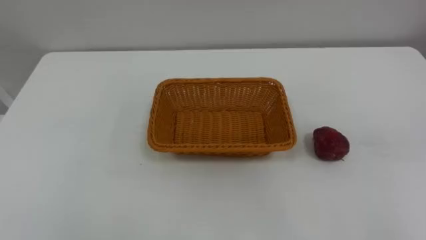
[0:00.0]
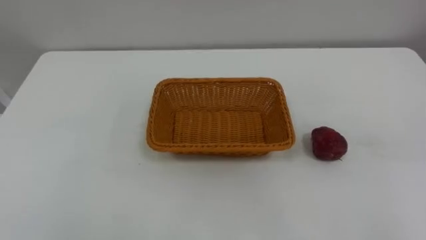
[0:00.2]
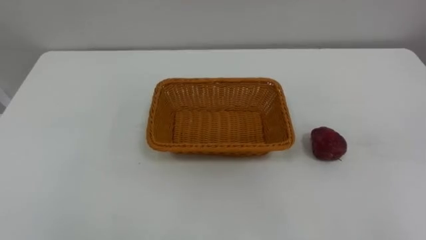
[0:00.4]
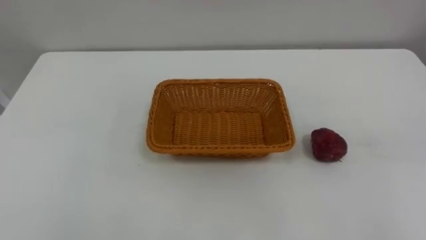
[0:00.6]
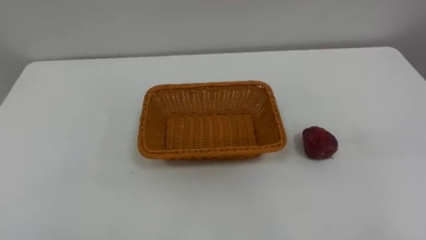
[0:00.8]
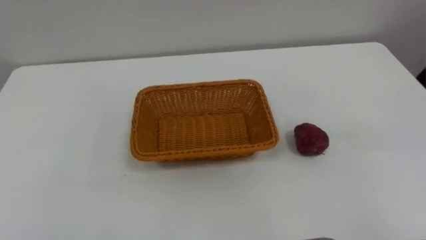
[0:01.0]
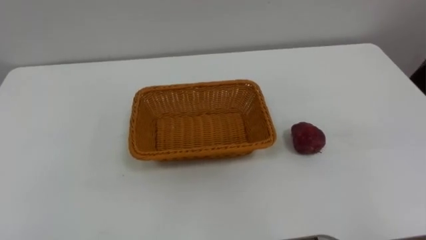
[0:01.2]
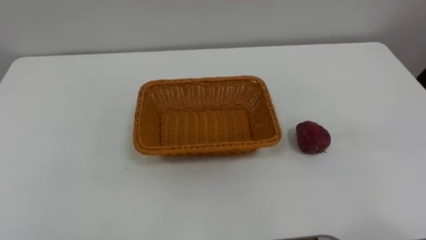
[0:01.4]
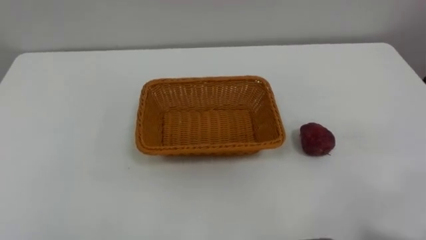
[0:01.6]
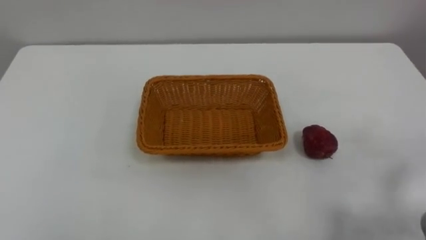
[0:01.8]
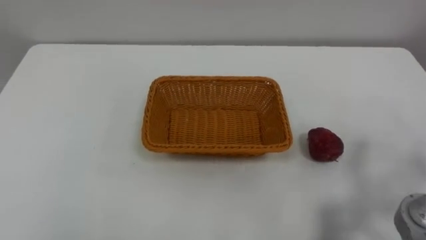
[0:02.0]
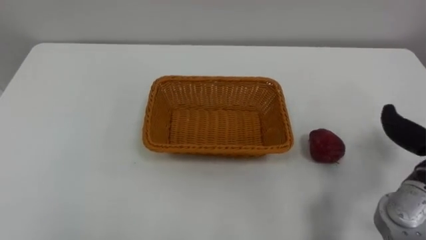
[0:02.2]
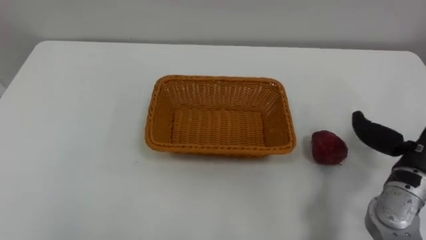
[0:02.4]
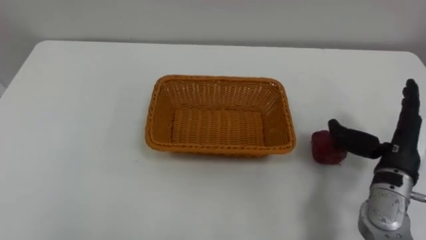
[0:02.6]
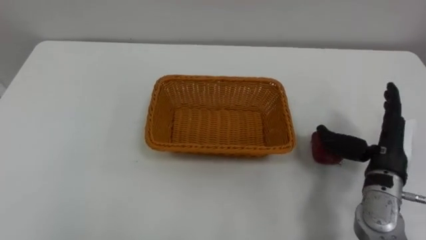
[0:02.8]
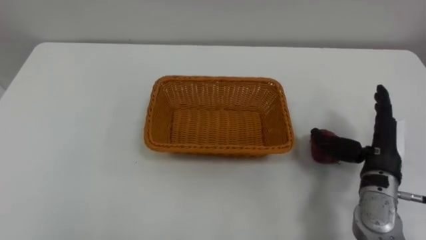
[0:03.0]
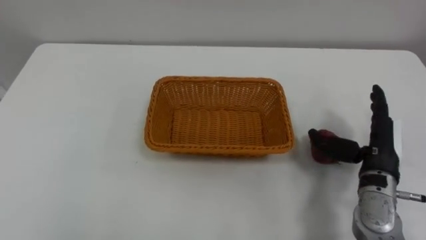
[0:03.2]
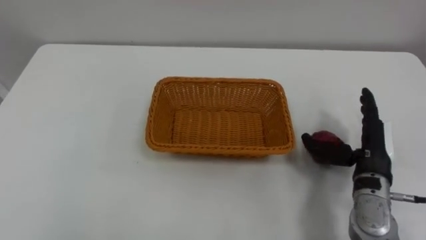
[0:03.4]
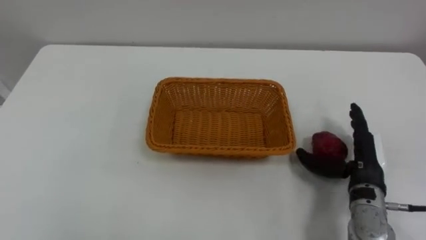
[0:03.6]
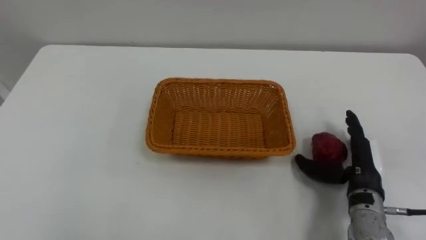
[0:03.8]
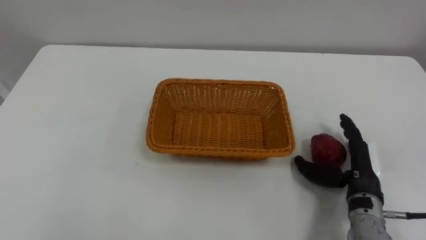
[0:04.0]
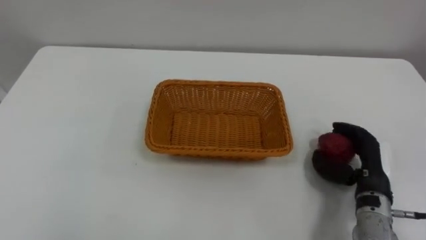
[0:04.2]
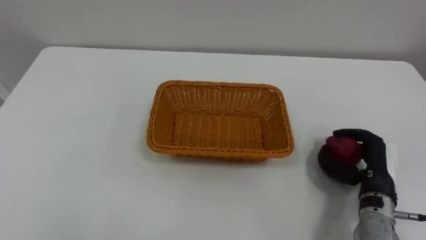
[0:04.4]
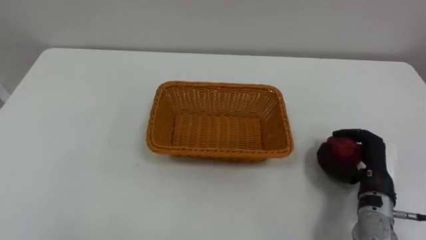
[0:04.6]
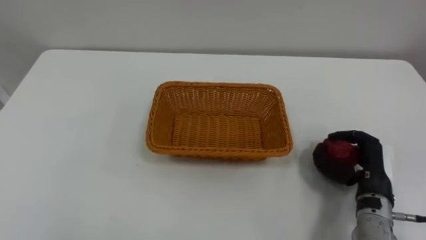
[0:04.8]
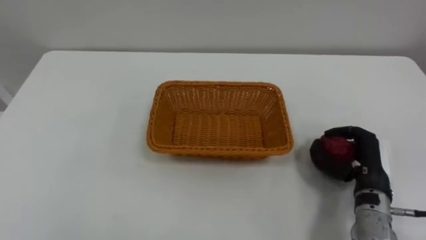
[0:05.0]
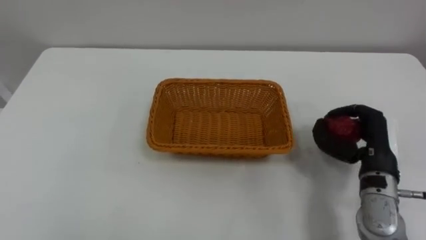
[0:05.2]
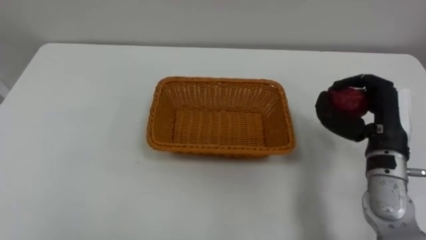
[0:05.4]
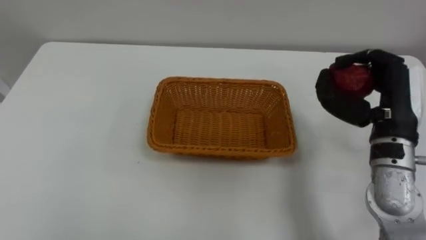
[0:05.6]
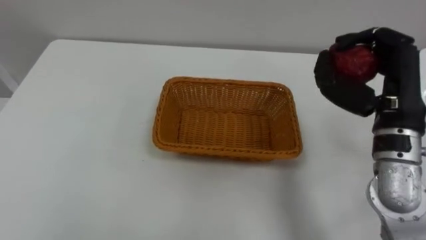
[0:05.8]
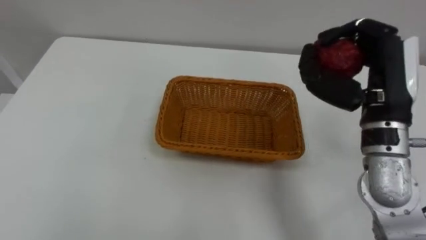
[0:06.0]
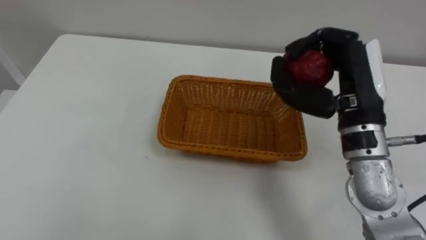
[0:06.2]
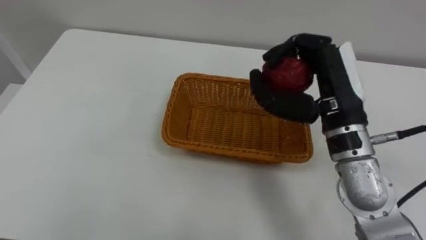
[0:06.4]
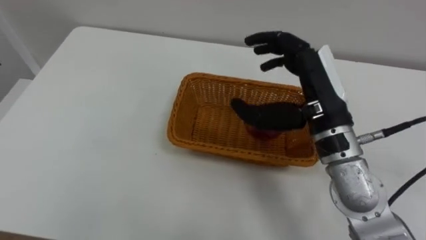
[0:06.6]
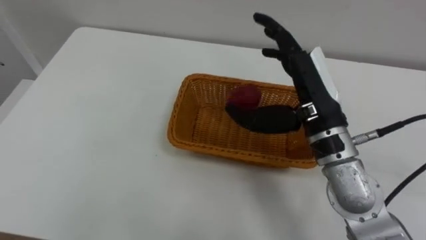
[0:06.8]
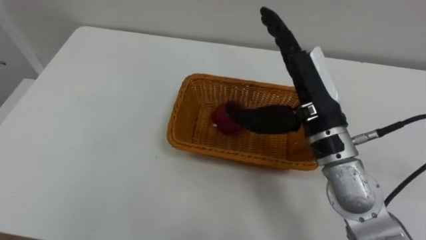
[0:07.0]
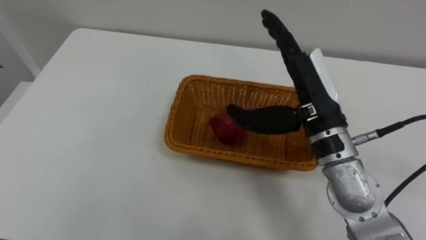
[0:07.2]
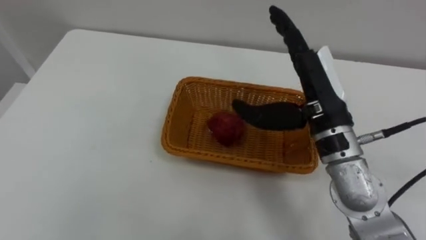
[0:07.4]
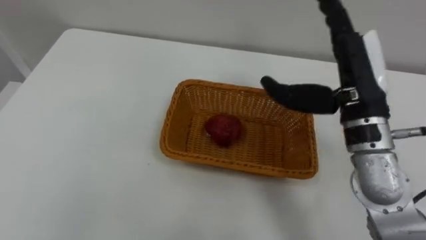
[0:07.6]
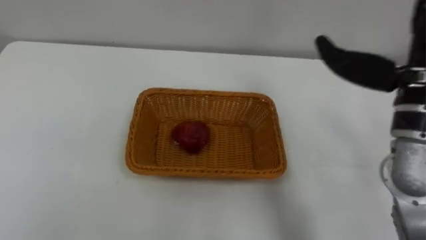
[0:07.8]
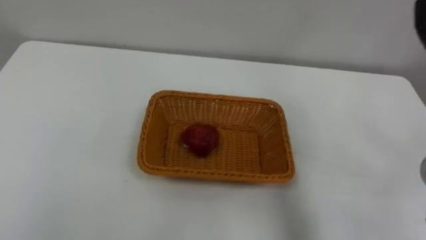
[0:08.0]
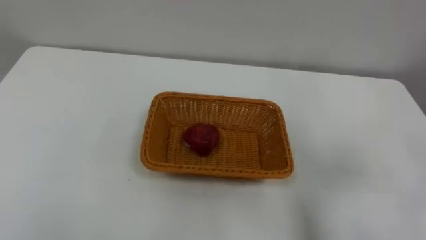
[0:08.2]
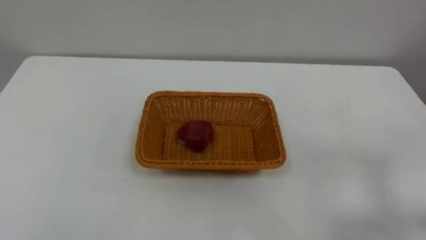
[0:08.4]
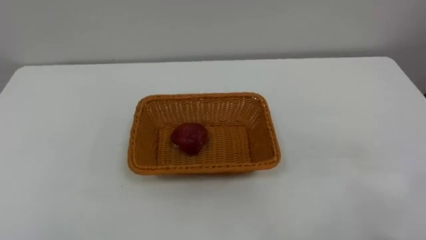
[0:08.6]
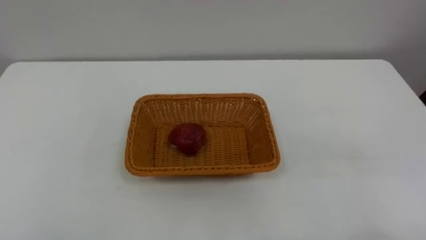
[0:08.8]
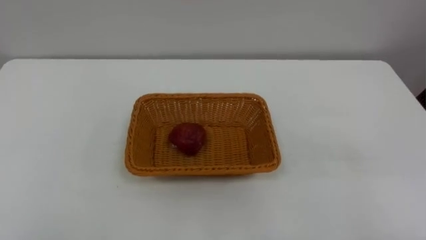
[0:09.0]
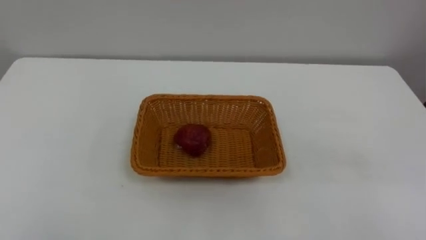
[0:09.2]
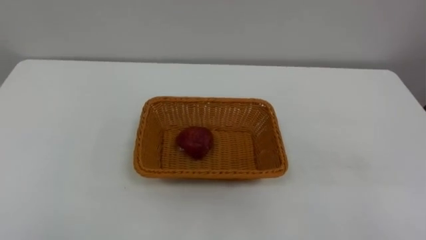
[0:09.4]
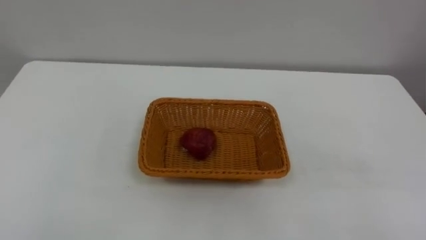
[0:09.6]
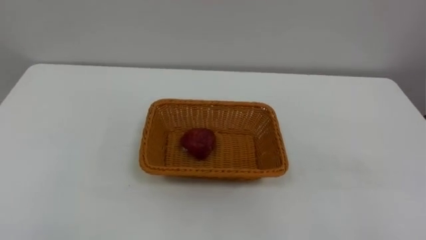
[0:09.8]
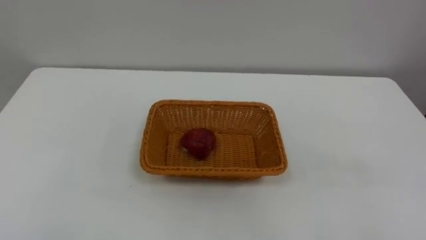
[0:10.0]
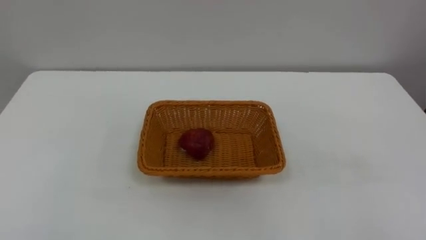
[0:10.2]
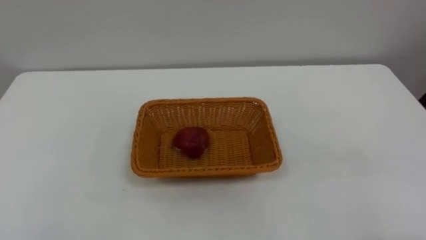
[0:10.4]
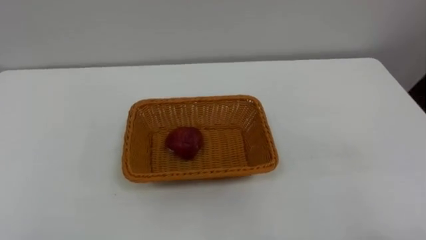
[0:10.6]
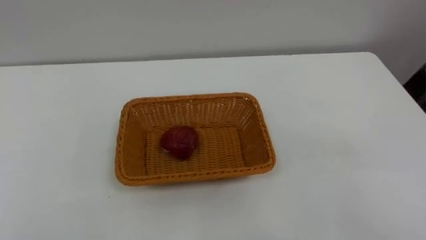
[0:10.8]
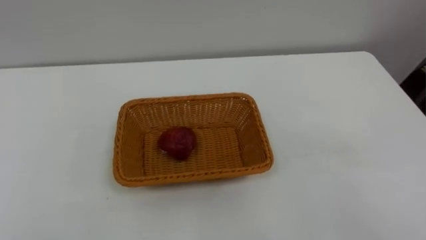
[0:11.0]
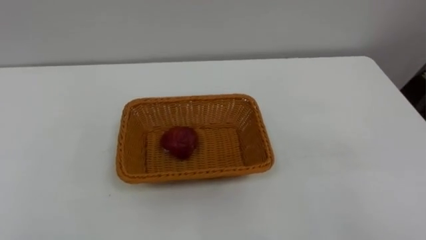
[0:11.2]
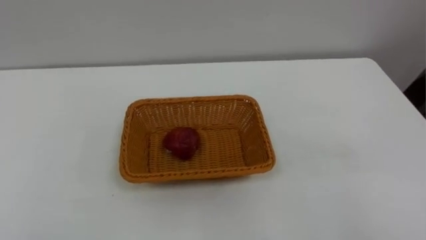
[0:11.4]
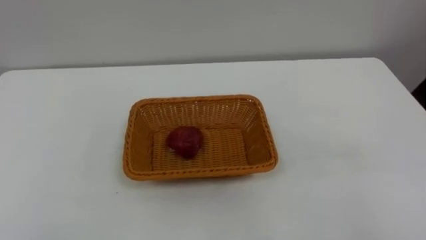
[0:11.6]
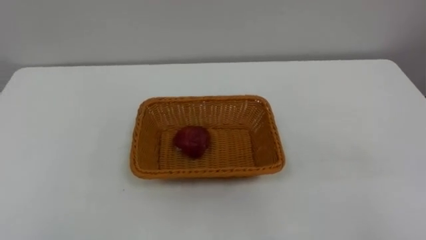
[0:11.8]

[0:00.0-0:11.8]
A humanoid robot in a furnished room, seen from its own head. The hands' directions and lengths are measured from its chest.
Task of the whole recording: Pick the apple and place it in the box.
0:03.0 to 0:04.4: The right hand heads downward, covering some 5 cm, and closes.
0:04.4 to 0:06.0: The right hand travels upward by some 20 cm.
0:06.0 to 0:07.4: The right hand travels to the left by some 10 cm, and opens up.

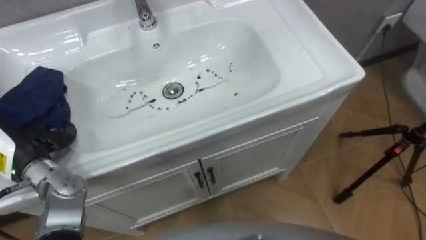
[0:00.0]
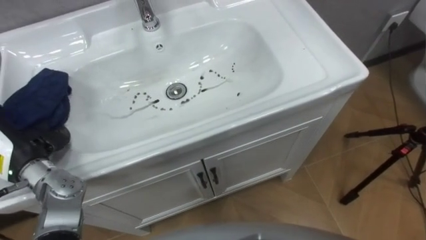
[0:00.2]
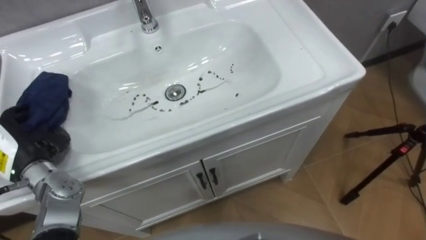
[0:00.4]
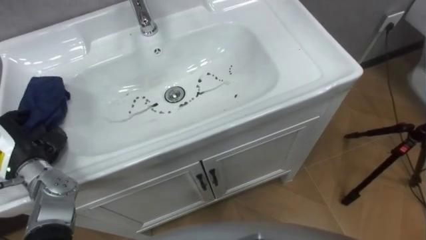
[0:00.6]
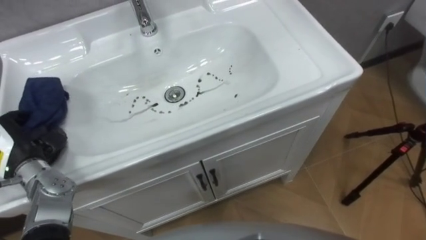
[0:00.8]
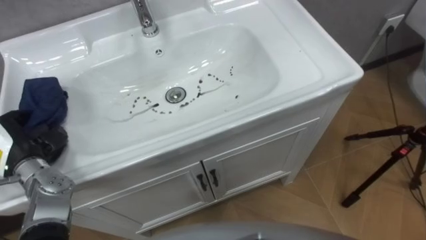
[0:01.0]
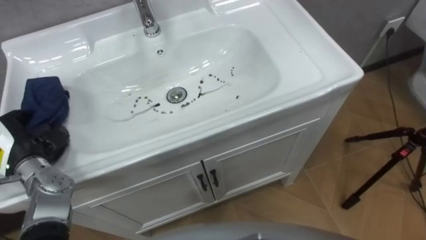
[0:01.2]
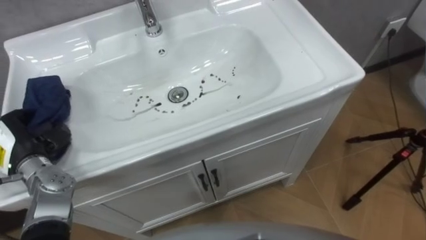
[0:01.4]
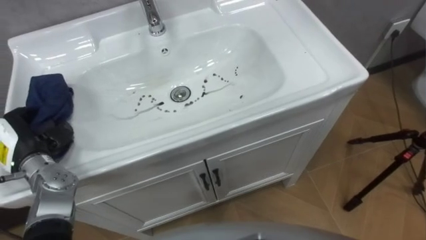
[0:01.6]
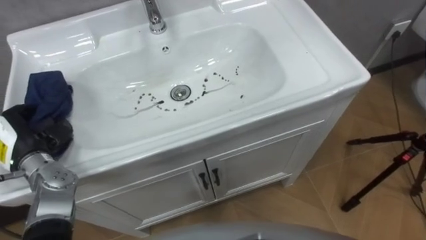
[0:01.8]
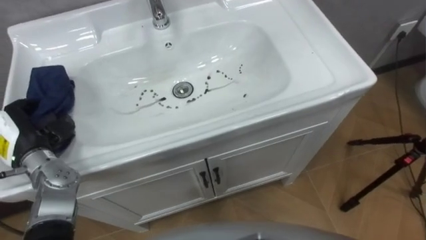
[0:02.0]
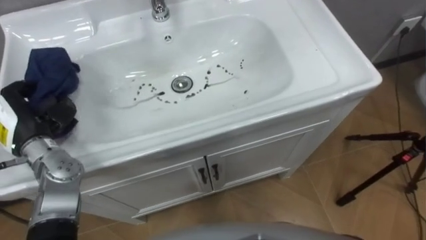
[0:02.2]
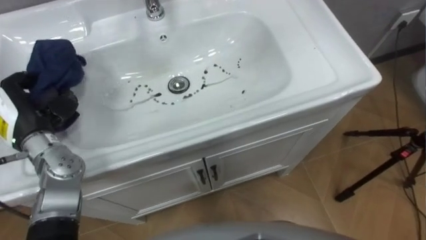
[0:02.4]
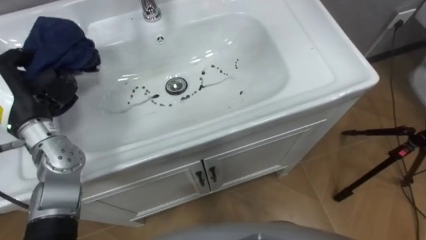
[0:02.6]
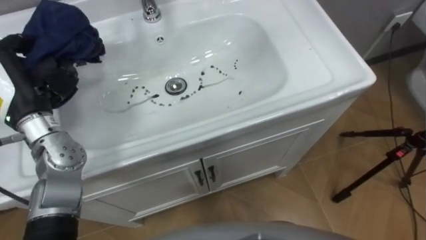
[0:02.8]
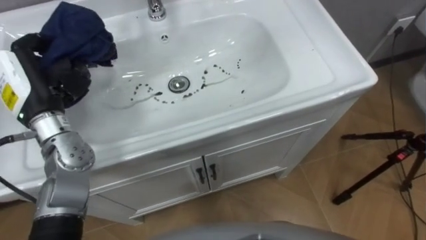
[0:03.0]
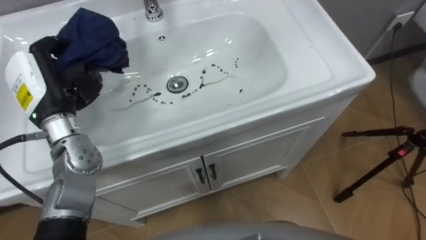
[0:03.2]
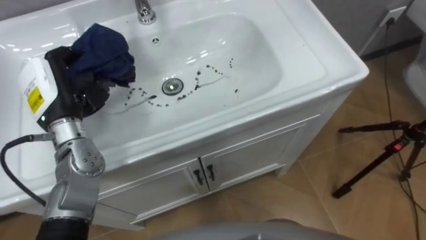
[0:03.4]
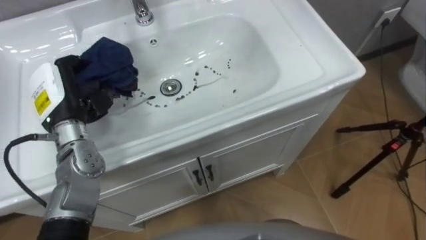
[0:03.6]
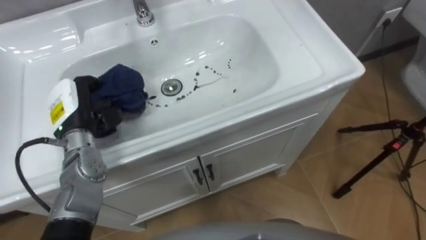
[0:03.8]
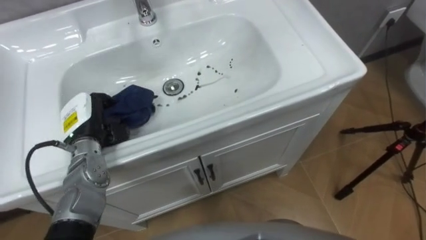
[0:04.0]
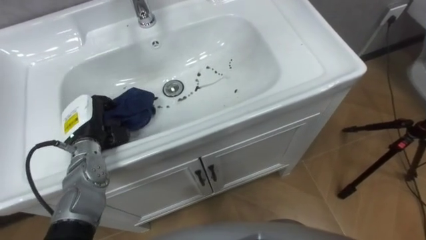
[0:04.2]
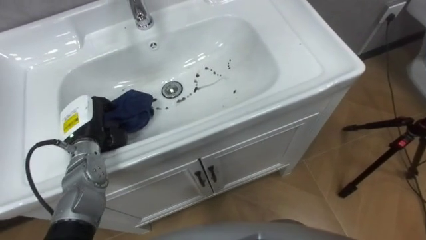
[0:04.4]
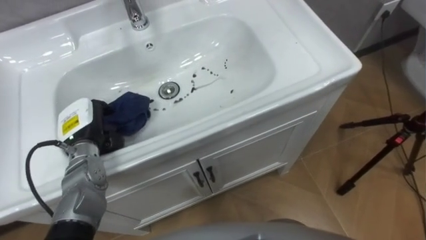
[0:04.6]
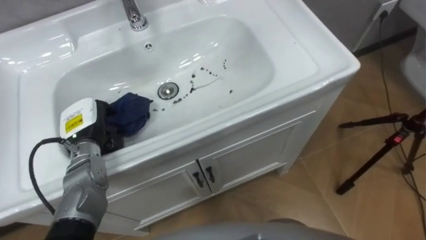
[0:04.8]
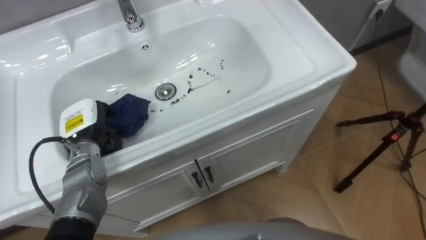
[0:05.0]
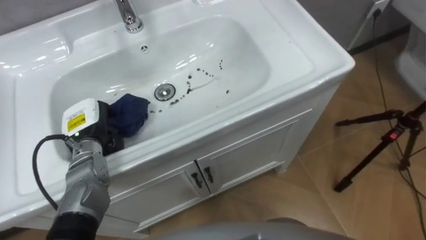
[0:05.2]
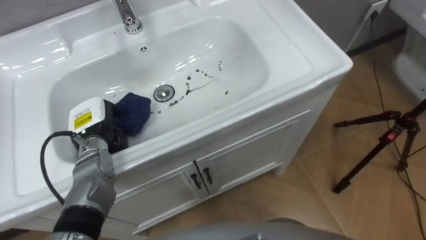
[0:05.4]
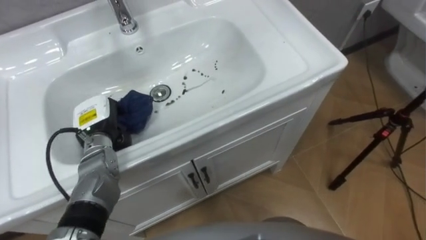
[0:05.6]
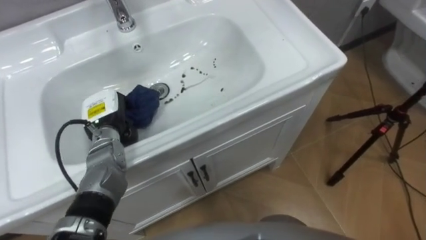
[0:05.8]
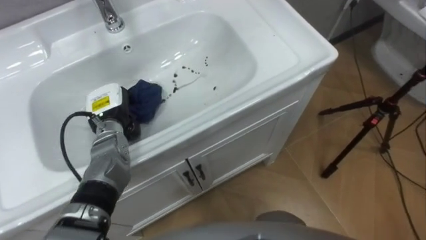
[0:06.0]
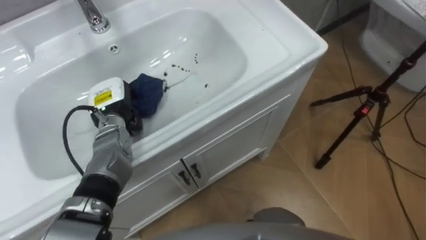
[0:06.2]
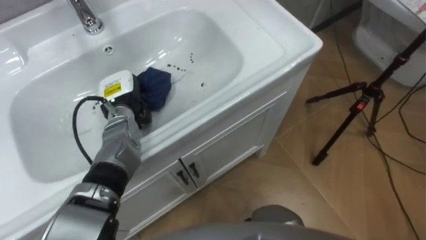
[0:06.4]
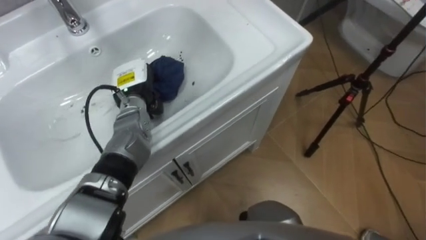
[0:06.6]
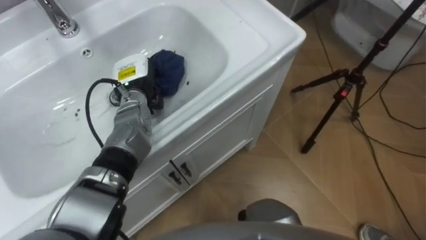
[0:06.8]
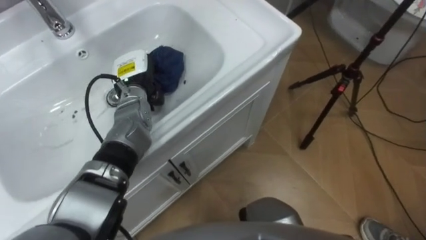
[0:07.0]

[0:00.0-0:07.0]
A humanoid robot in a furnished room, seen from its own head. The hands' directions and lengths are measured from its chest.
Task of the whole recording: Use the cloth on the right to wipe away the black stain in the sink.
0:00.0 to 0:01.4: The left hand closes its fingers.
0:01.4 to 0:02.8: The left hand travels upward, forward and to the right by roughly 15 cm.
0:02.8 to 0:04.2: The left hand is displaced downward and to the right by approximately 15 cm.
0:05.6 to 0:07.0: The left hand is displaced forward and to the right by about 15 cm.
